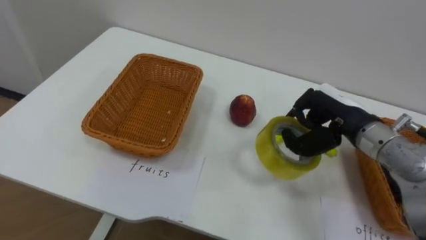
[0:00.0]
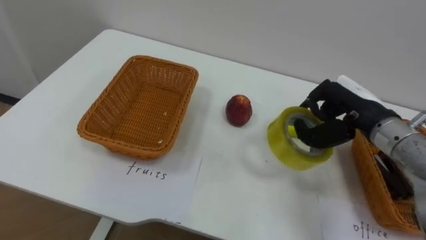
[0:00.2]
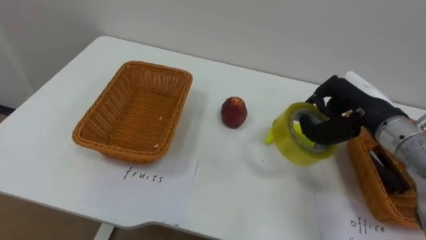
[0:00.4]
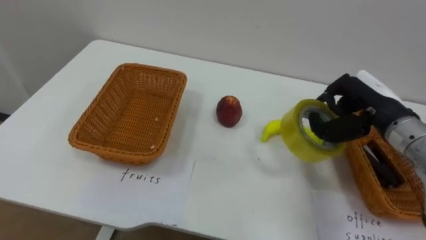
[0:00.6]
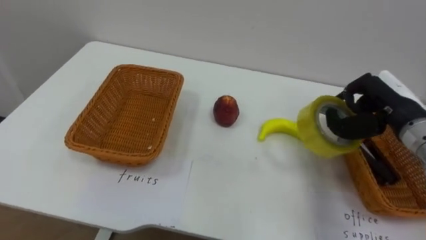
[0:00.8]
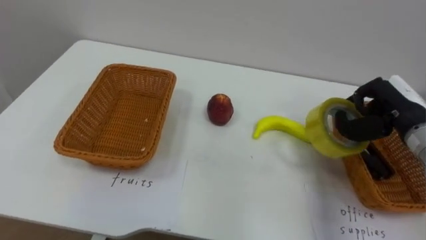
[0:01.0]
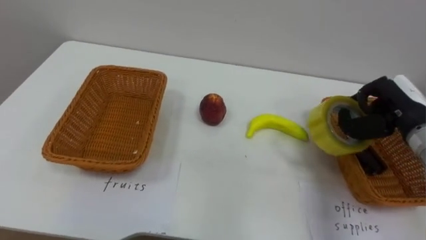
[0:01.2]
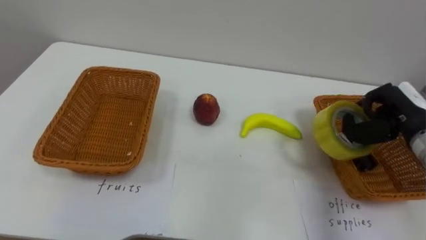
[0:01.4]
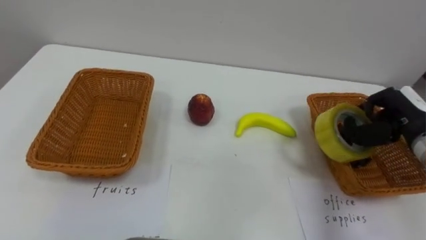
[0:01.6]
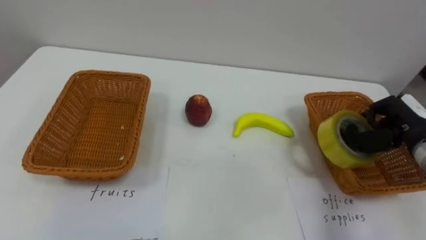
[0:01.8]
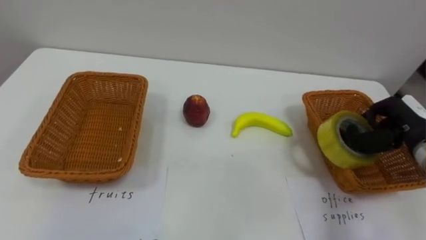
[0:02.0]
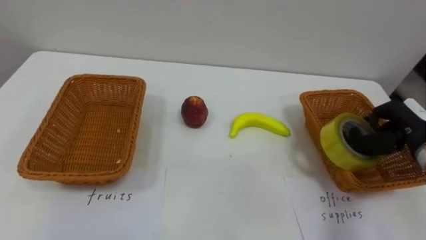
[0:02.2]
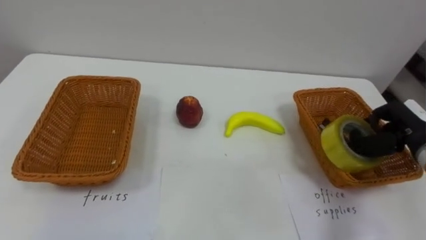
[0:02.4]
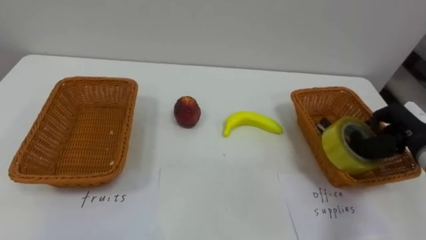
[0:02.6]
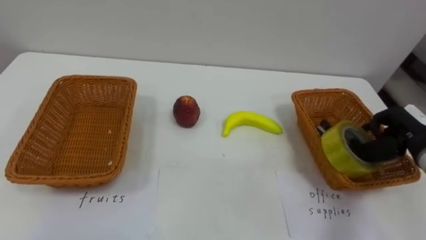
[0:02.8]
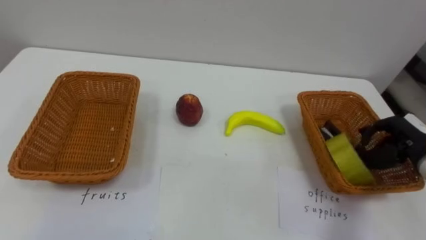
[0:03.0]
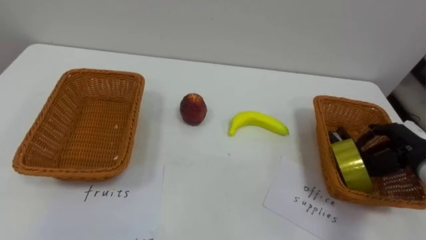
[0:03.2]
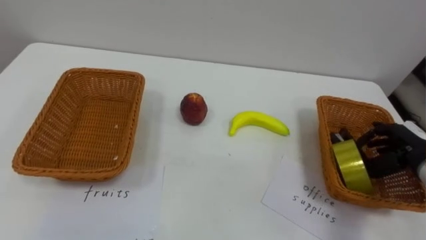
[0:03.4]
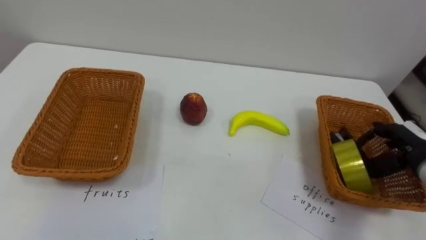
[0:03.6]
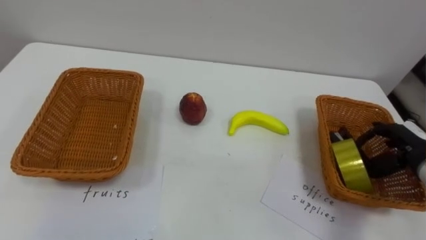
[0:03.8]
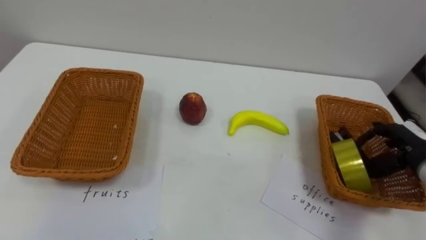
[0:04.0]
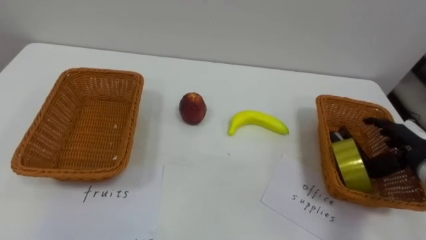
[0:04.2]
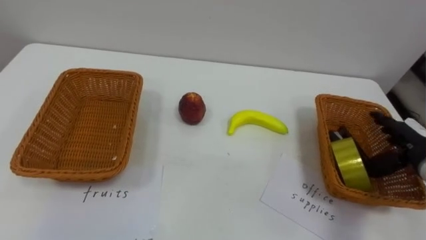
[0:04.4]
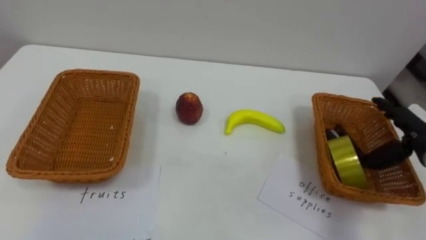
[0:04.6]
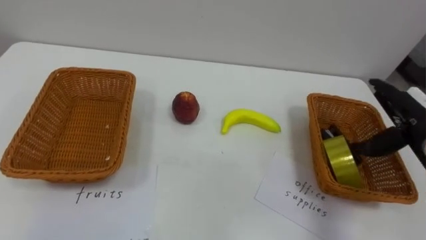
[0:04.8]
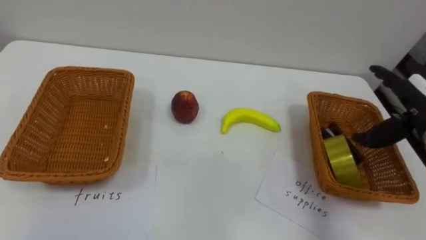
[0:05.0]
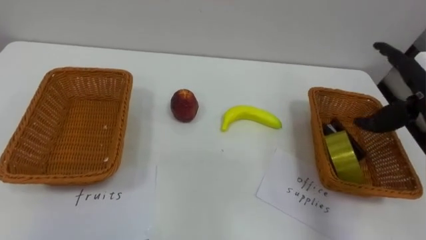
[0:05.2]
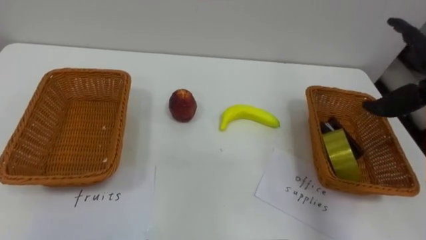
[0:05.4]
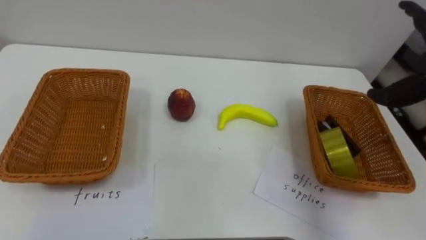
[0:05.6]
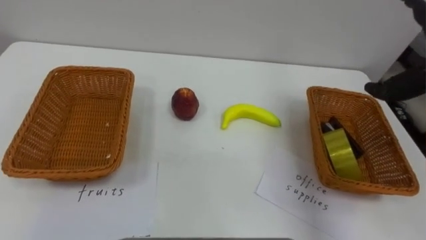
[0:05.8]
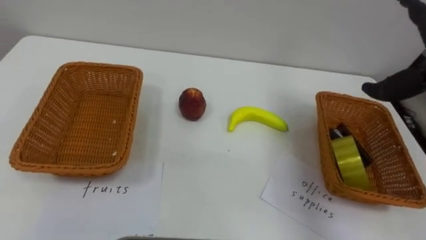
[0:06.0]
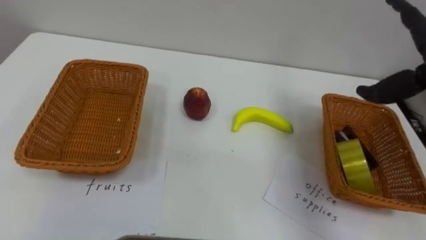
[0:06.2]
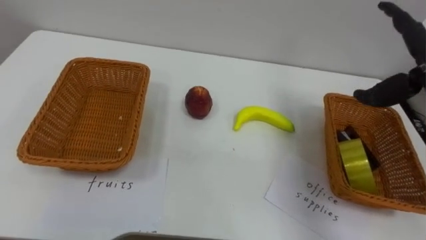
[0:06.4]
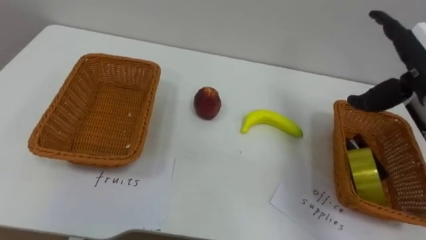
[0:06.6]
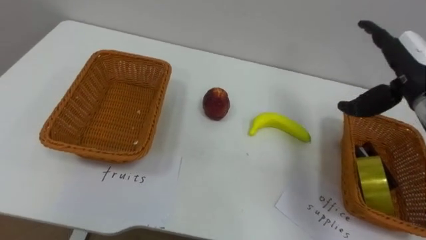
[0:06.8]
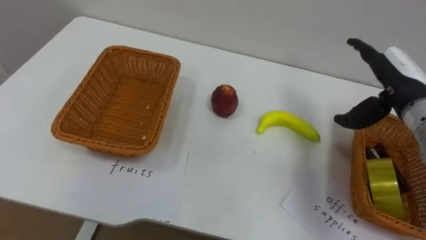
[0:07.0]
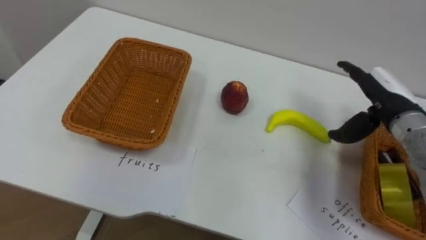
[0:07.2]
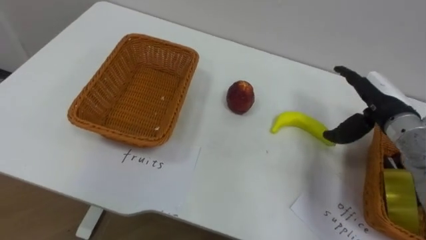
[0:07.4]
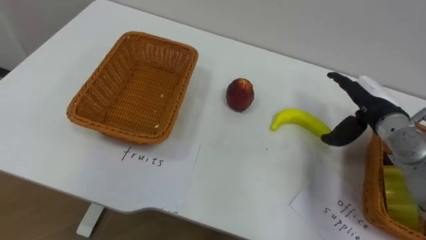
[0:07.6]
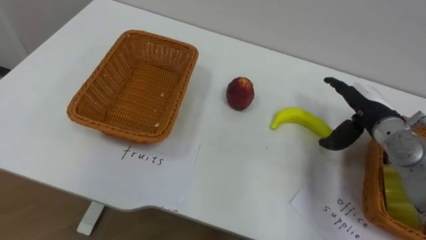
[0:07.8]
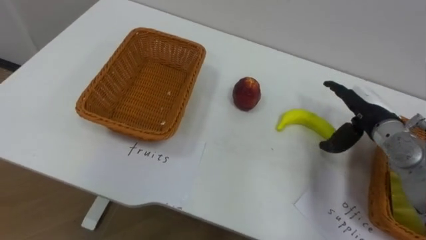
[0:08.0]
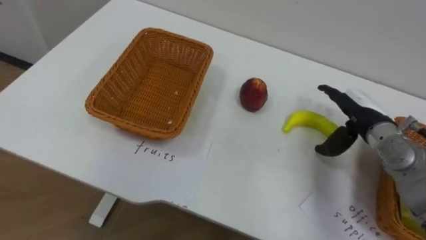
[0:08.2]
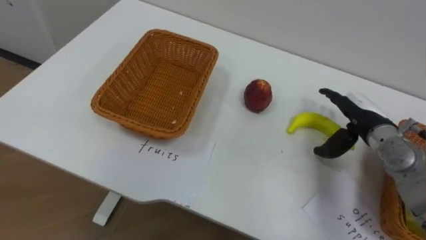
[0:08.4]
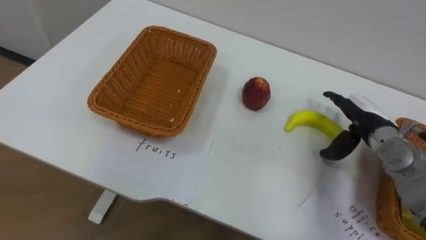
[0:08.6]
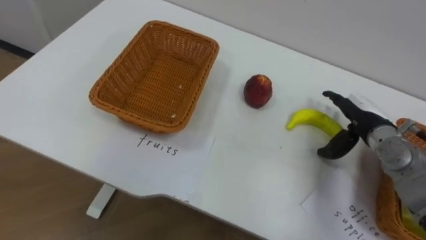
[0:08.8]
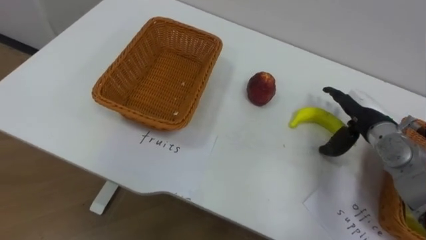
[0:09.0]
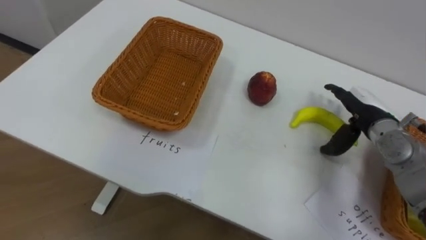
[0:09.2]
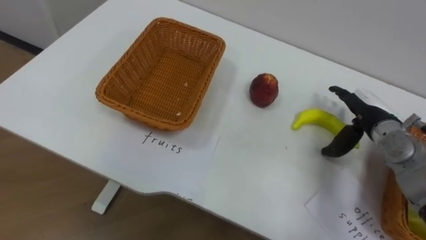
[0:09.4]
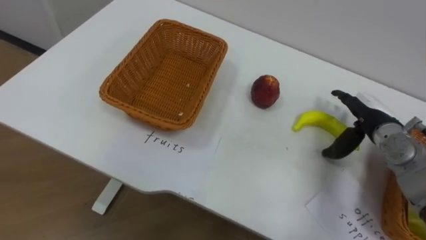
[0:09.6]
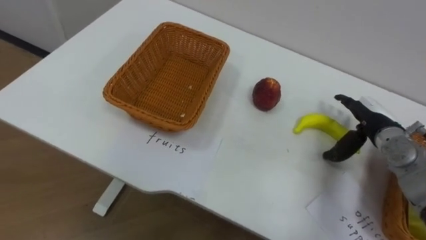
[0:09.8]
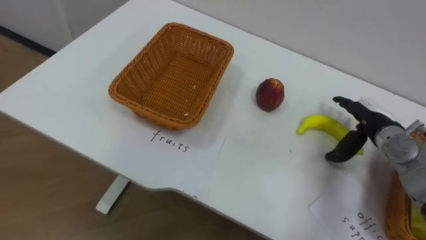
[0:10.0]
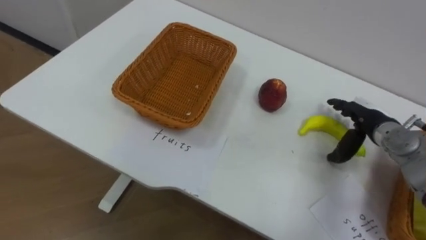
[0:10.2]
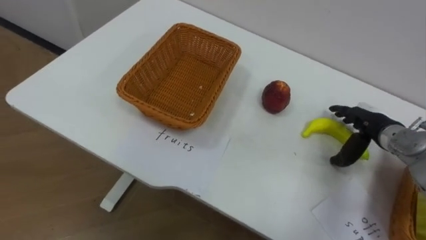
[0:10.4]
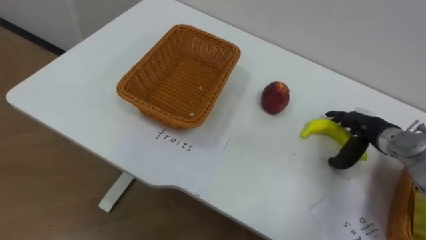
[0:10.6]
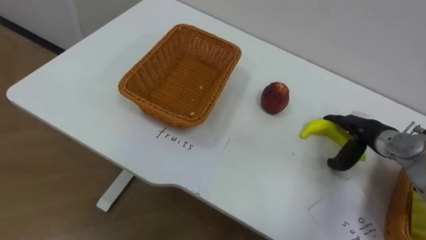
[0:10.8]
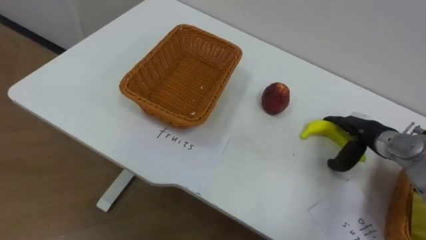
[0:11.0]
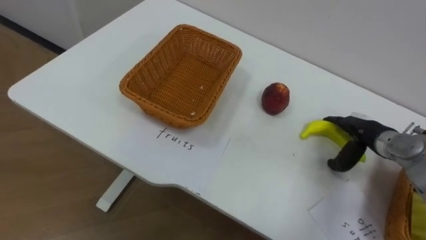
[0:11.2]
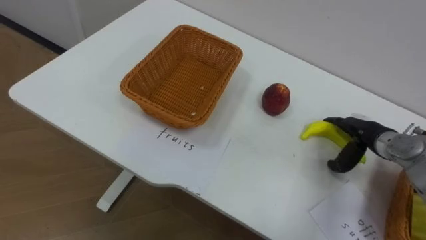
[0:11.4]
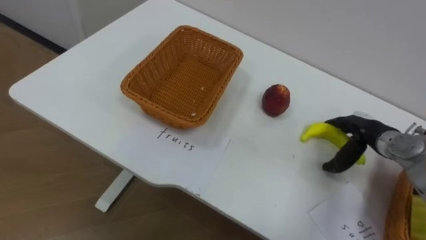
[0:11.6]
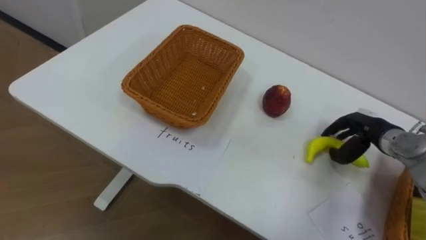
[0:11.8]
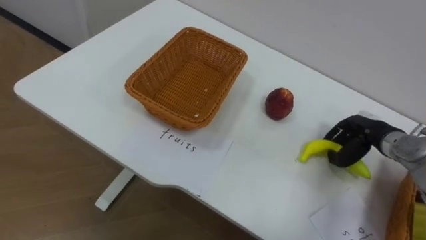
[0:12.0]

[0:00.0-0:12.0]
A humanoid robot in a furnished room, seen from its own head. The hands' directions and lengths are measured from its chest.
Task of the whole recording: Separate the items on the table and place them into the two baskets.
0:00.0 to 0:01.6: The right hand travels to the right by roughly 10 cm.
0:01.6 to 0:03.0: The right hand shifts by about 5 cm.
0:03.0 to 0:04.4: The right hand opens its fingers.
0:10.4 to 0:12.0: The right hand closes its fingers.

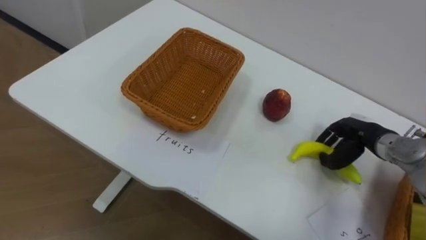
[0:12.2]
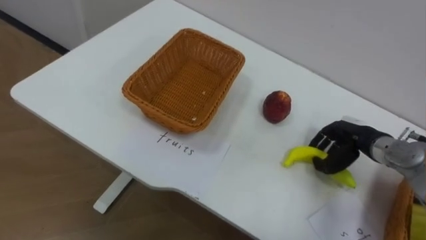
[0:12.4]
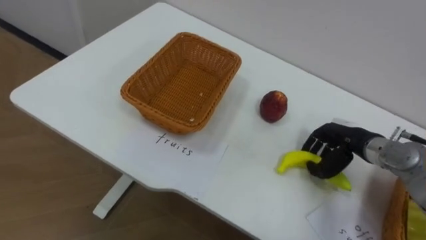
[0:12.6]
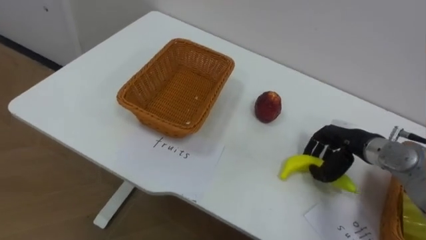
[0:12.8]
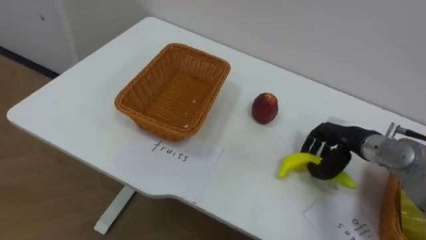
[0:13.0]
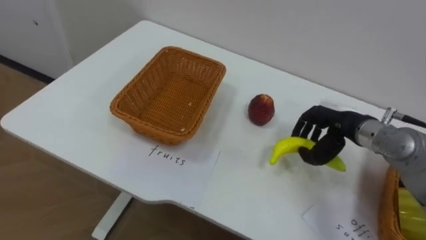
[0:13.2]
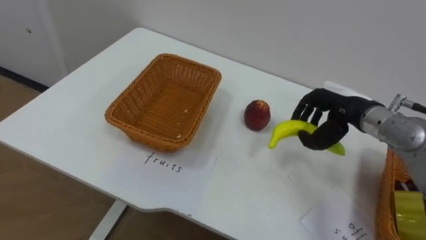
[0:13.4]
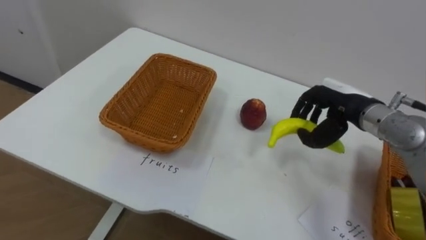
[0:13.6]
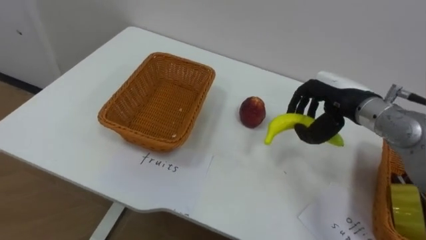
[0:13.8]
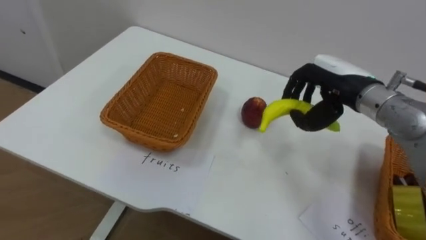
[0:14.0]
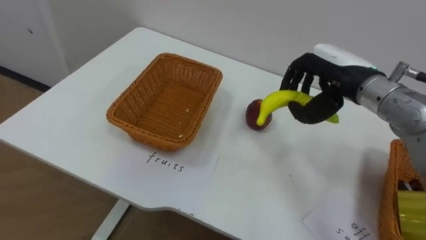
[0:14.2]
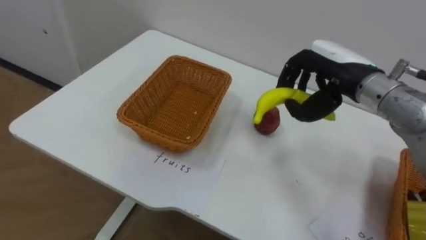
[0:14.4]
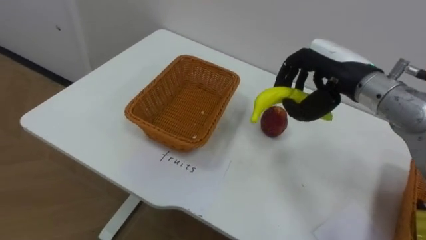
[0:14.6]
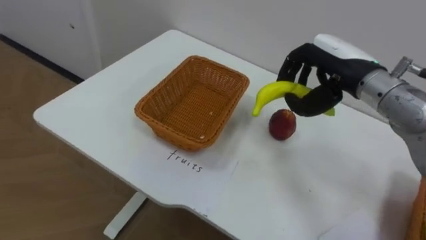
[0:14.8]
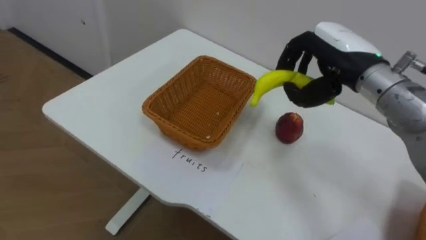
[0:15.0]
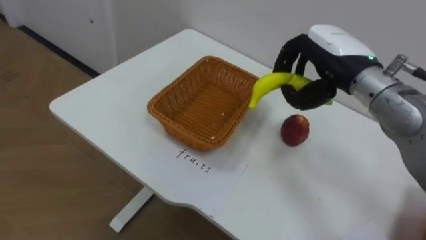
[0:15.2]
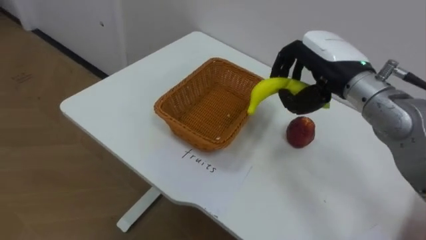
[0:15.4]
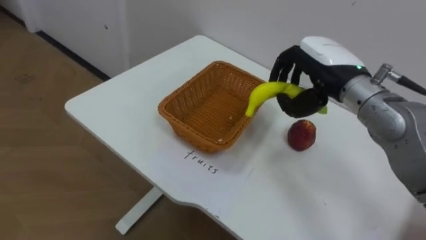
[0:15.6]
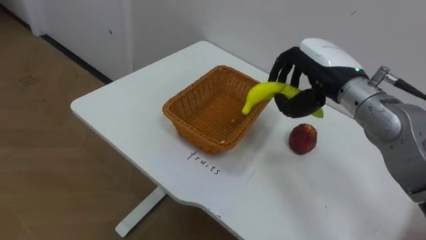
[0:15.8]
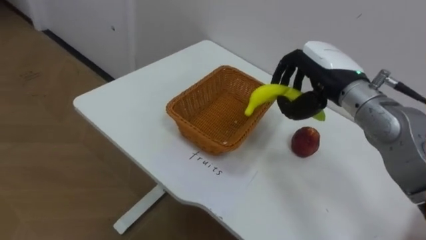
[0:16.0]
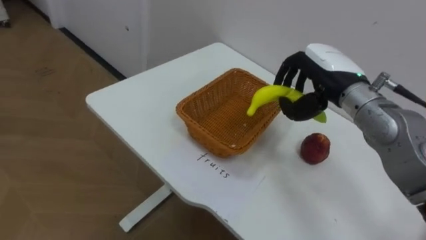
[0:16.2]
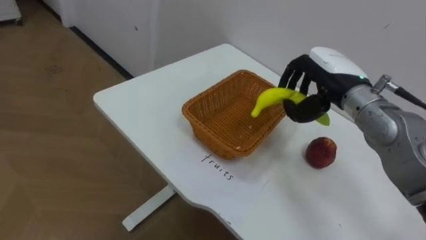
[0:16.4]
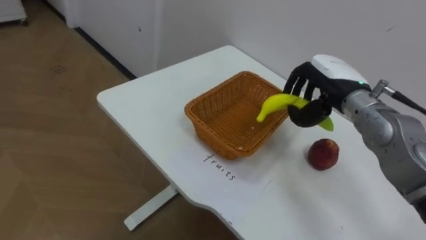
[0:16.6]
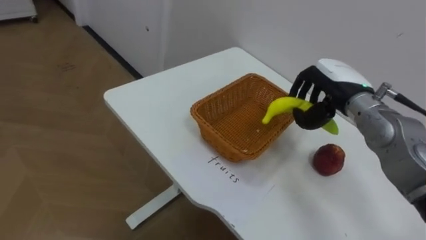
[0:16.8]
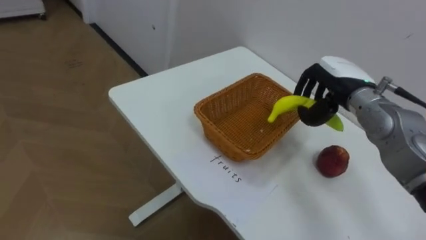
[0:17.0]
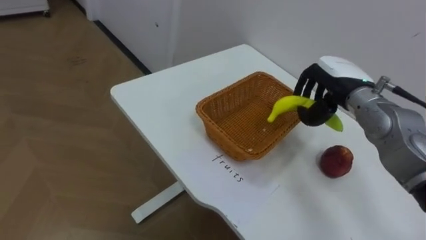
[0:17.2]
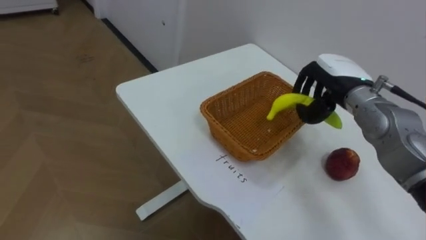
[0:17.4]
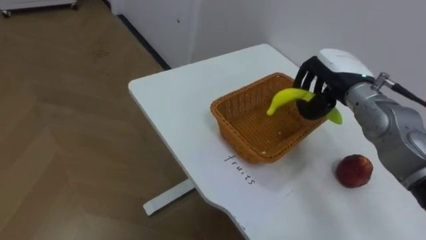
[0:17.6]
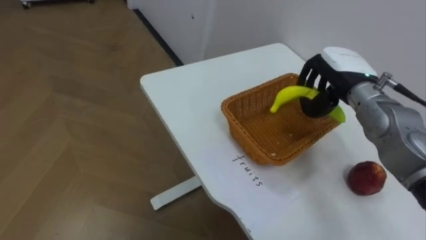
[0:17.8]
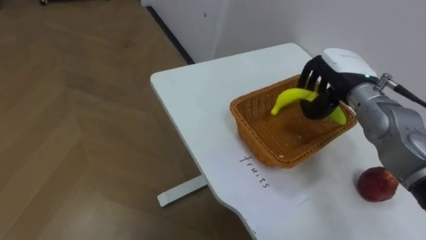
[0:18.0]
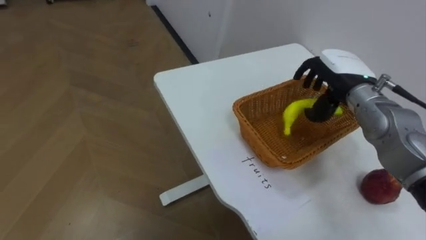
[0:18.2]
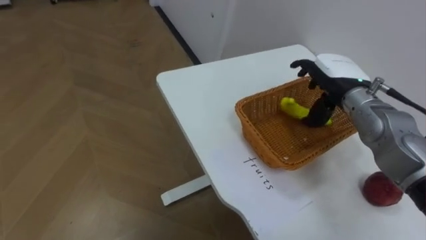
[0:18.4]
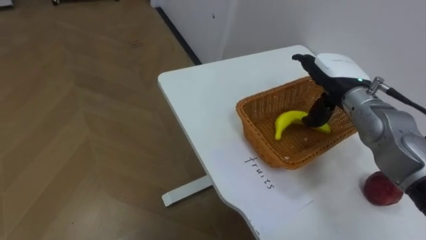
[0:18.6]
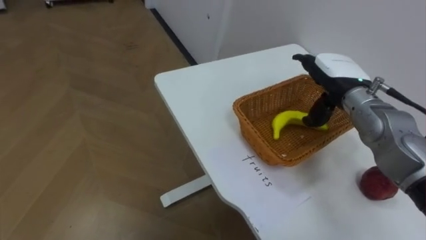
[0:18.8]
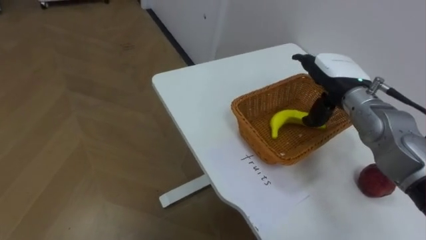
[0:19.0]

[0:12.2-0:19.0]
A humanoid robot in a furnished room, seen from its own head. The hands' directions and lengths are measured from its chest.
Task of the whole recording: Separate the items on the table and place them into the two baskets.
0:12.2 to 0:13.6: The right hand goes some 10 cm upward and to the left.
0:13.6 to 0:15.0: The right hand shifts some 10 cm upward.
0:17.6 to 0:19.0: The right hand opens its fingers.
